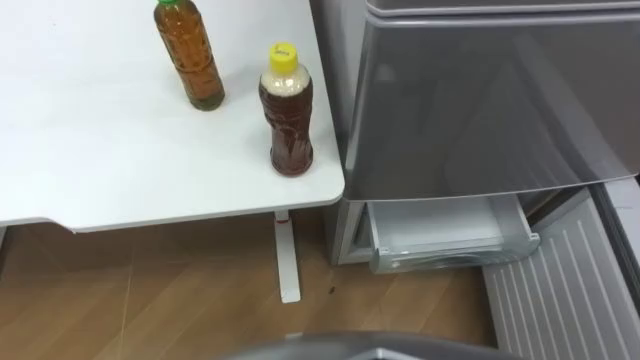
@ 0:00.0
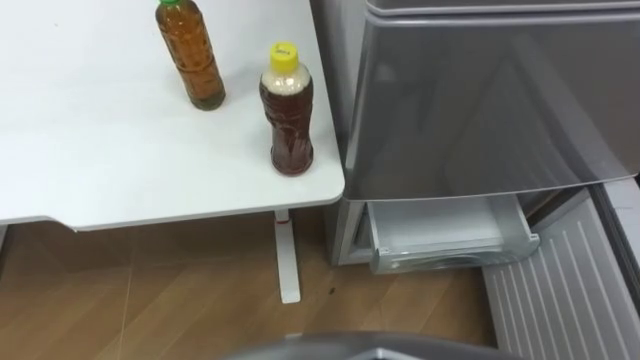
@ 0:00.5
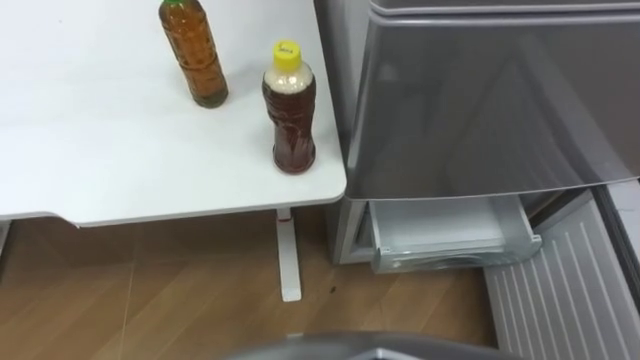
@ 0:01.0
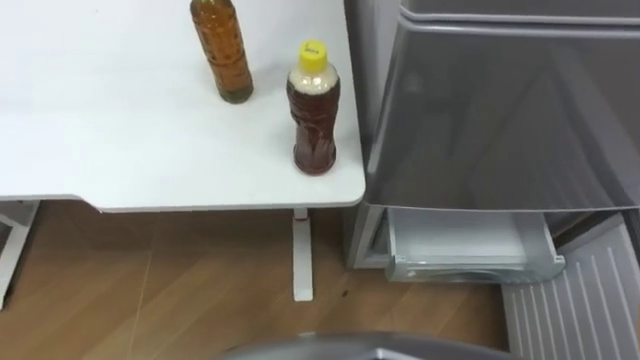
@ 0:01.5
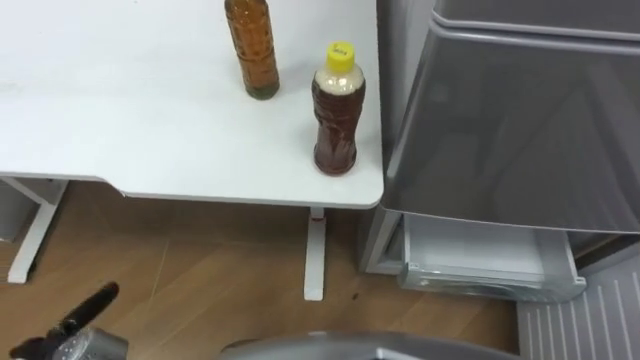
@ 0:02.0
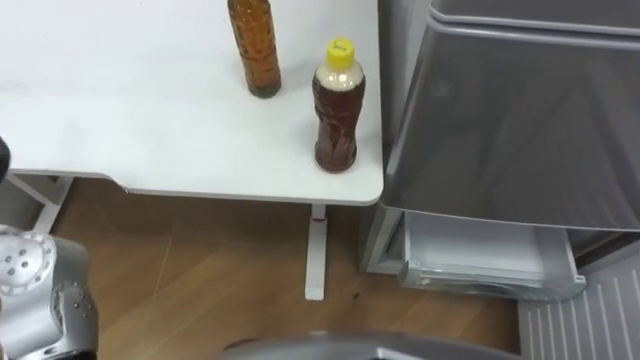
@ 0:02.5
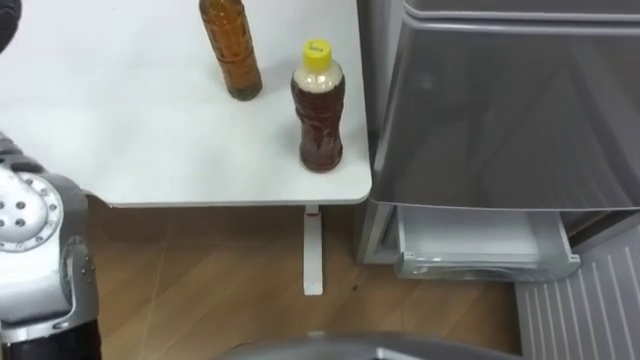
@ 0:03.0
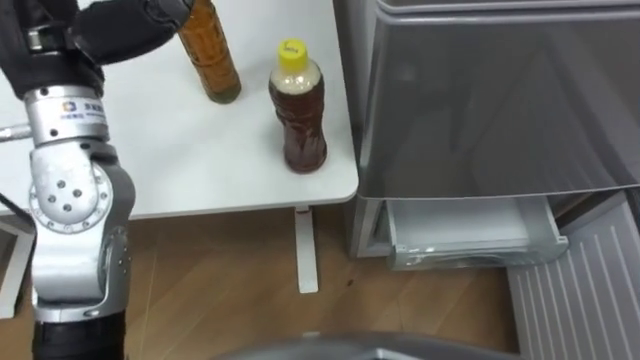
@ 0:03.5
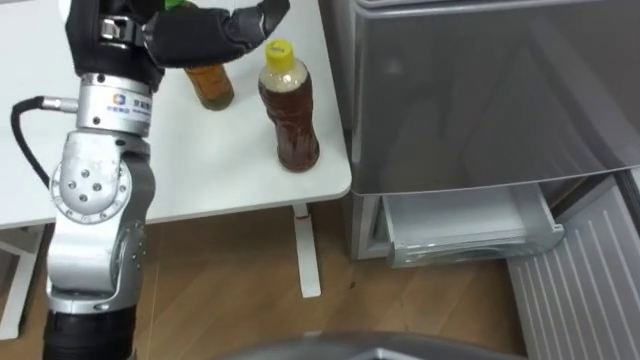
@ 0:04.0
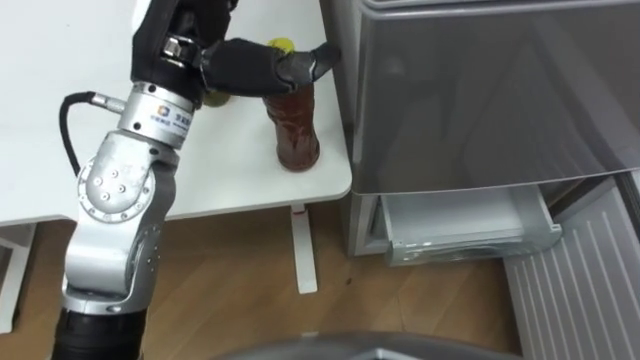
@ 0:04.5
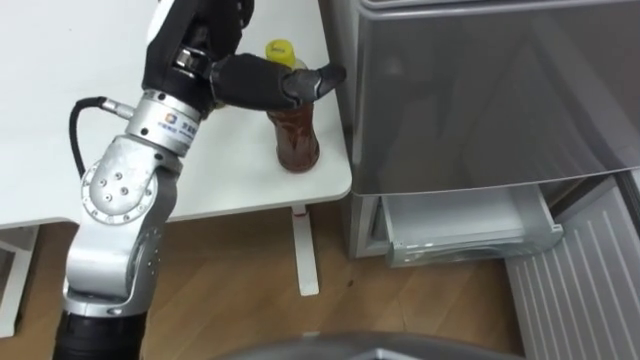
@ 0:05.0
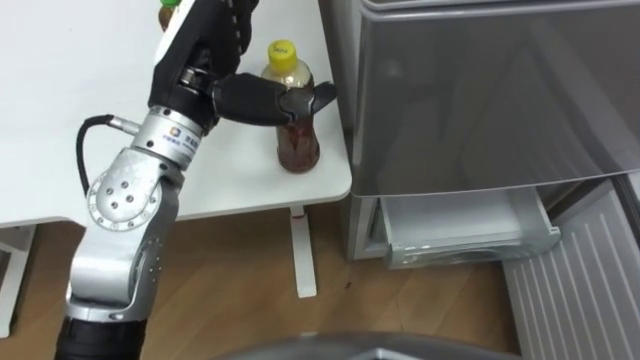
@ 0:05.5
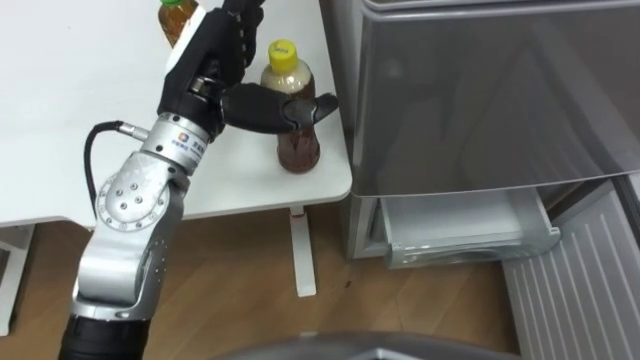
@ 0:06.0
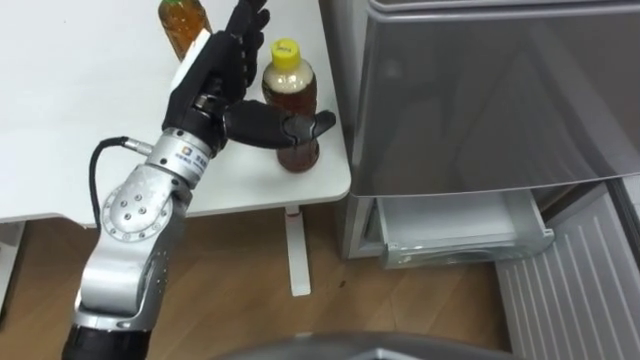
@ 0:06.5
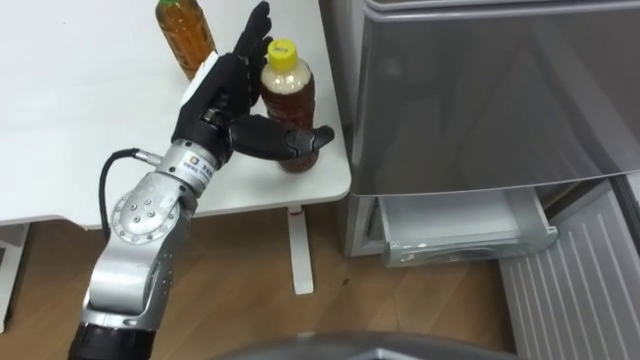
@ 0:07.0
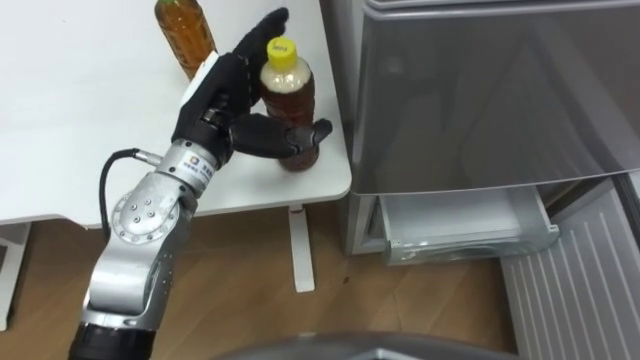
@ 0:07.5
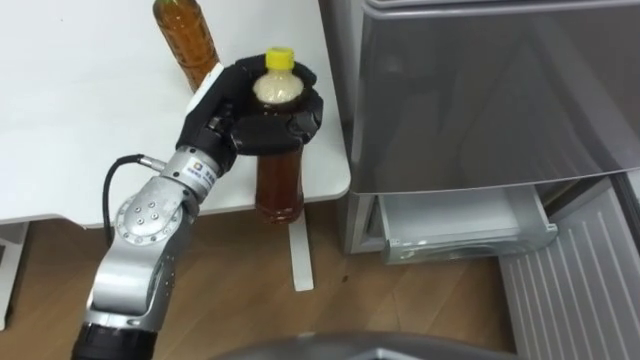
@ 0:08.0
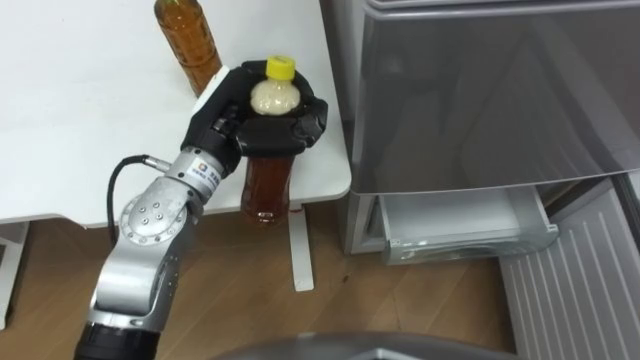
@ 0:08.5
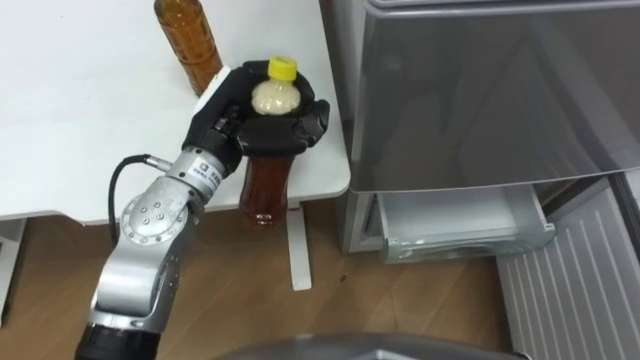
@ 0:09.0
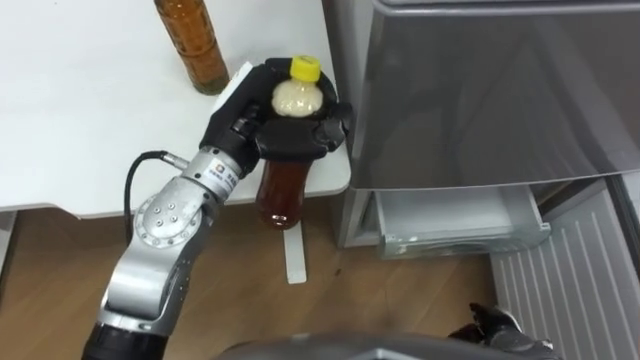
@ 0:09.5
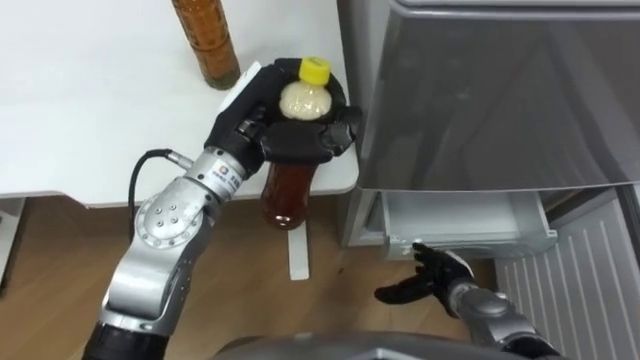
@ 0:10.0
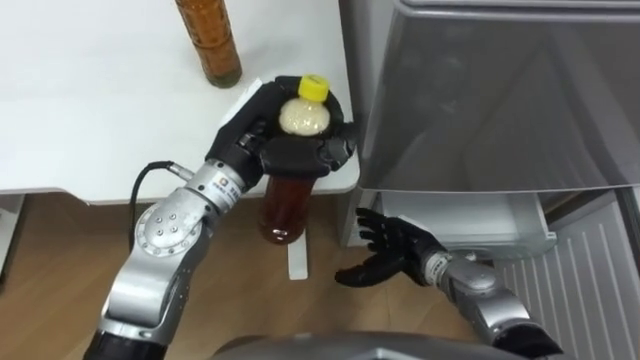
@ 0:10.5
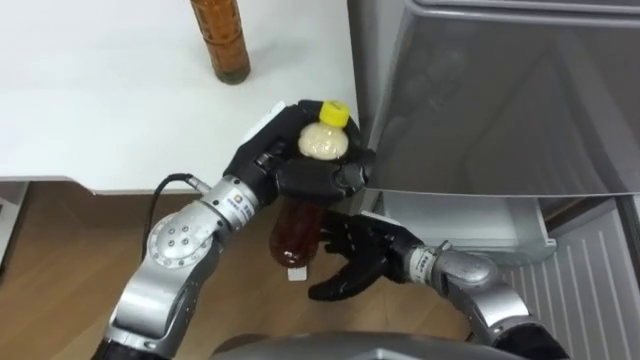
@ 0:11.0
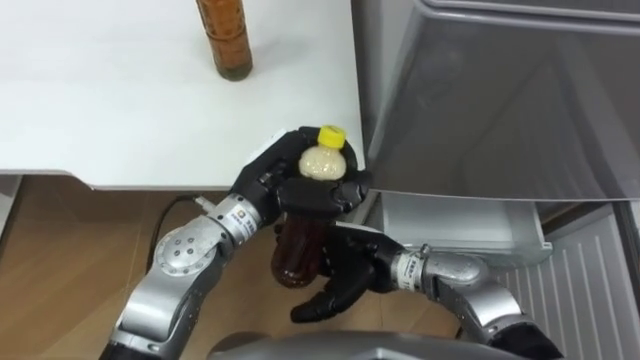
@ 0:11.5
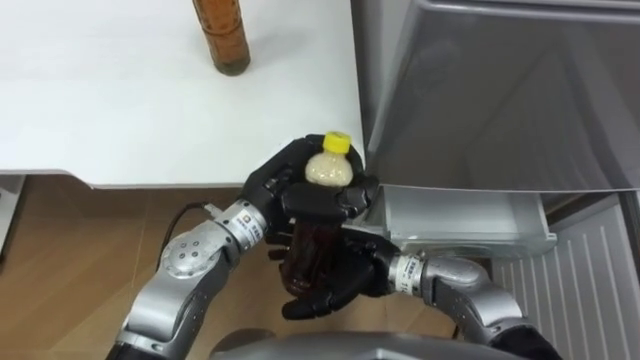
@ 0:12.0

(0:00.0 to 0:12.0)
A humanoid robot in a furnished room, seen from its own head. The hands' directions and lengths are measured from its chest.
Task of the whole recording: Place the drink on the table on the bottom shelf of the refrigerator, then close the drawer and the refrigerator door.
0:04.0 - 0:06.0: The left hand is displaced downward by approximately 5 cm.
0:06.0 - 0:08.0: The left hand is displaced downward by some 5 cm, and closes.
0:10.0 - 0:12.0: The left hand goes about 5 cm downward. The right hand is displaced to the left and upward by roughly 20 cm.

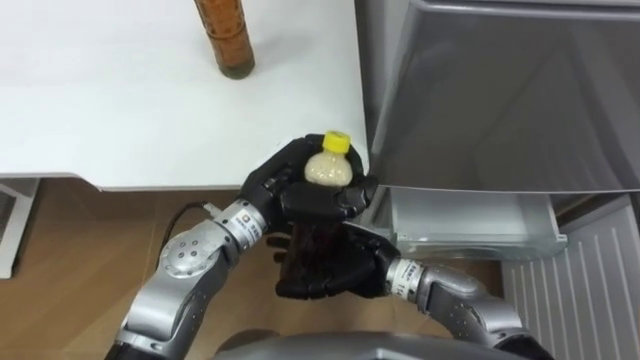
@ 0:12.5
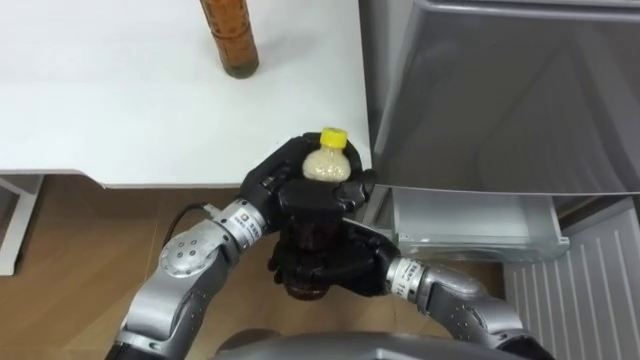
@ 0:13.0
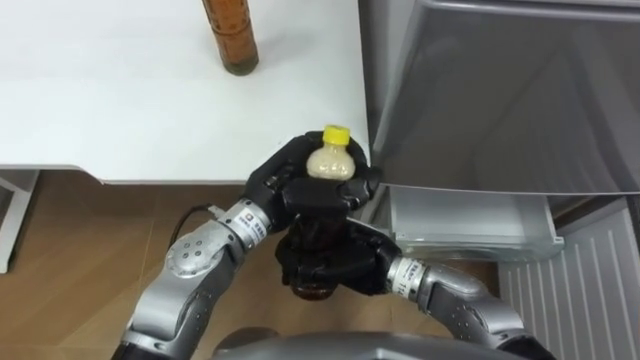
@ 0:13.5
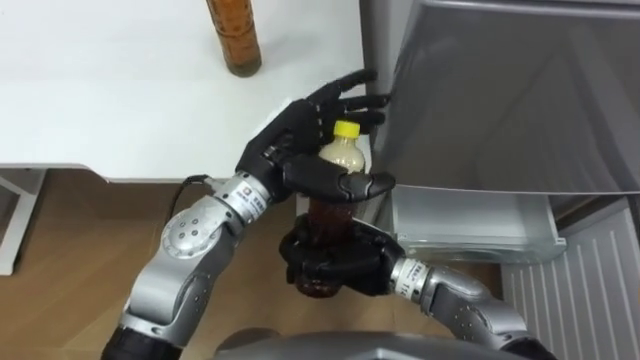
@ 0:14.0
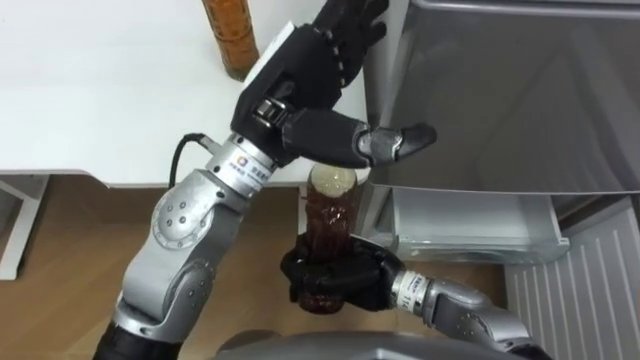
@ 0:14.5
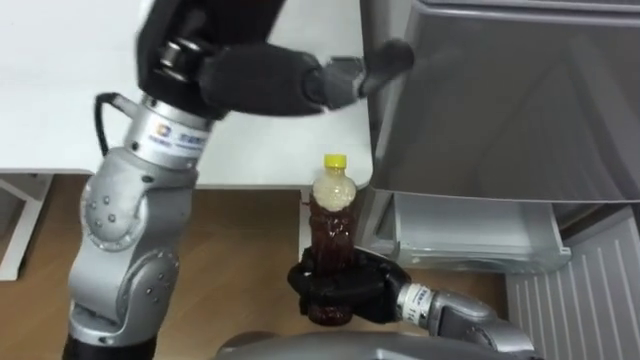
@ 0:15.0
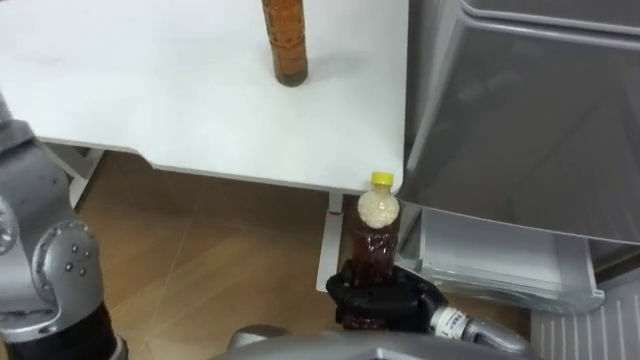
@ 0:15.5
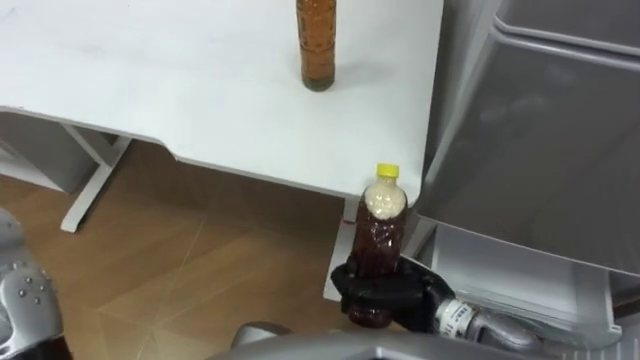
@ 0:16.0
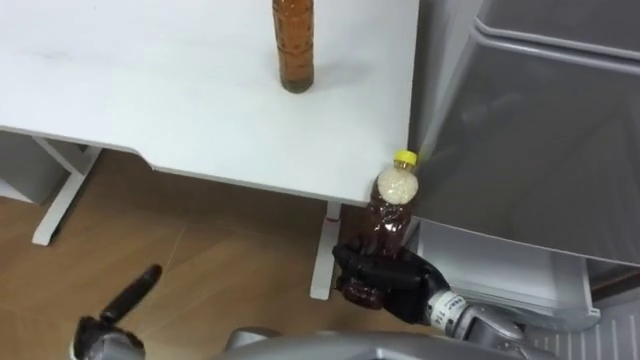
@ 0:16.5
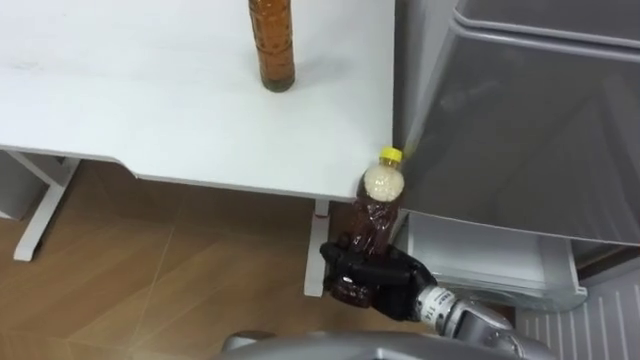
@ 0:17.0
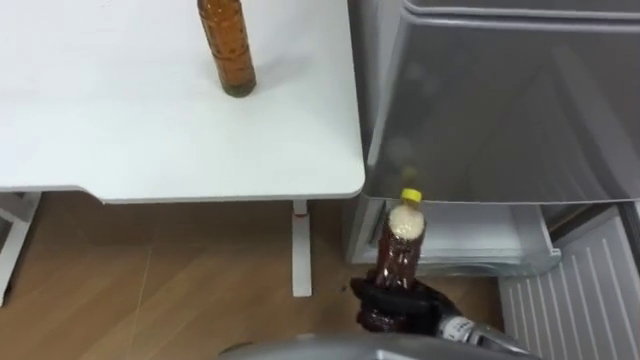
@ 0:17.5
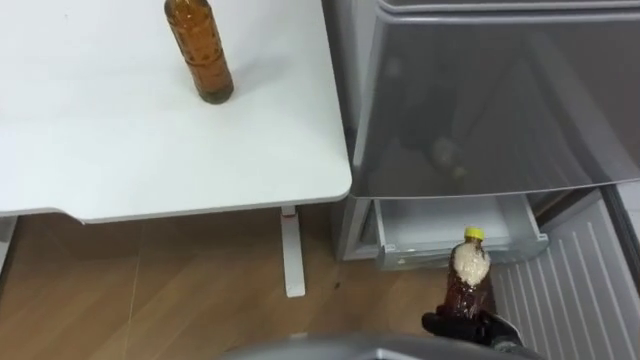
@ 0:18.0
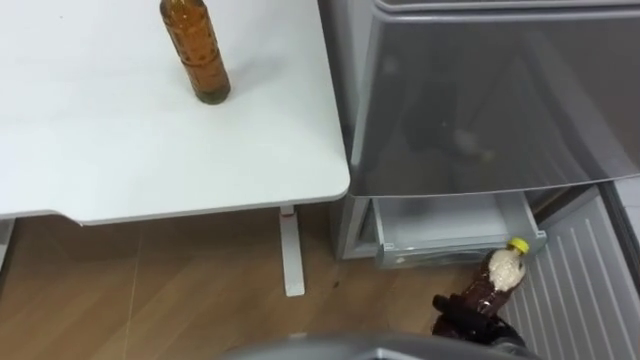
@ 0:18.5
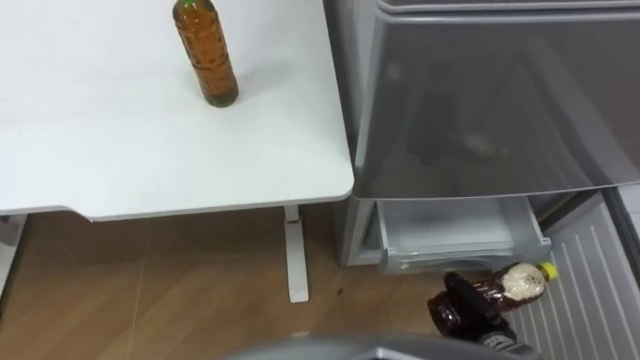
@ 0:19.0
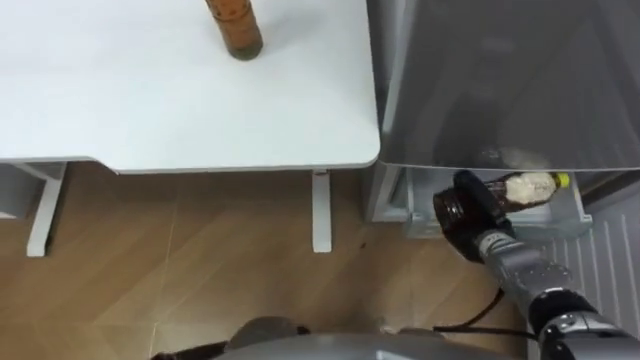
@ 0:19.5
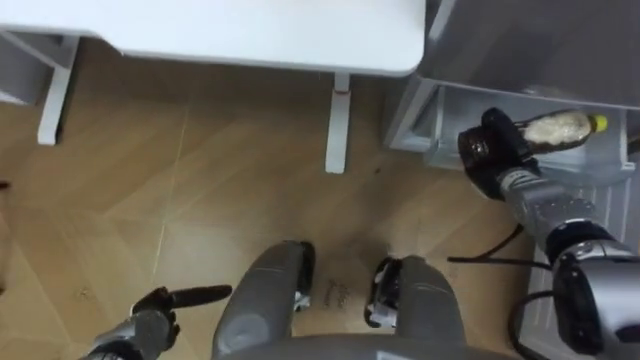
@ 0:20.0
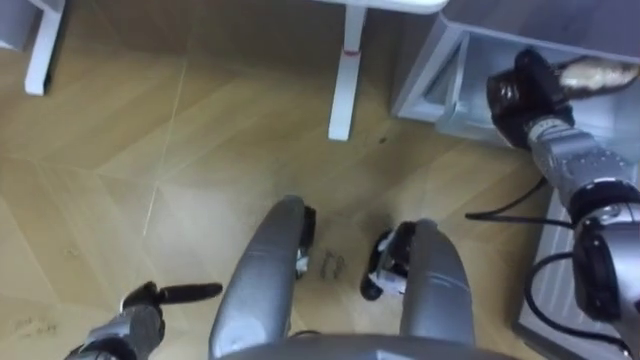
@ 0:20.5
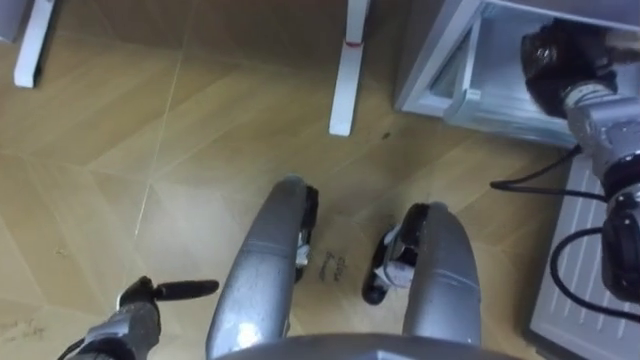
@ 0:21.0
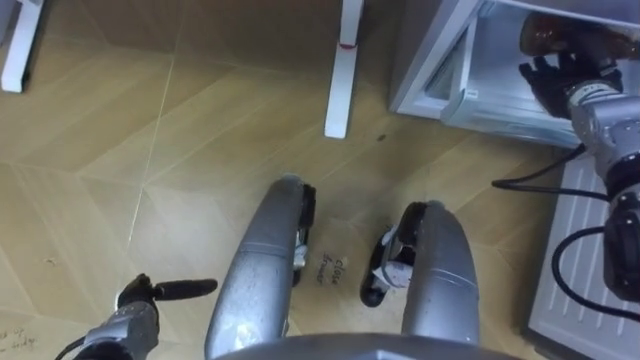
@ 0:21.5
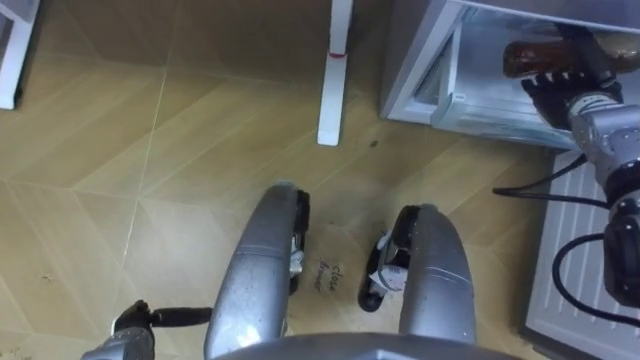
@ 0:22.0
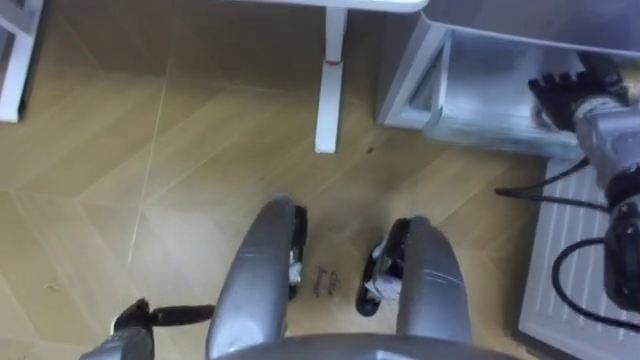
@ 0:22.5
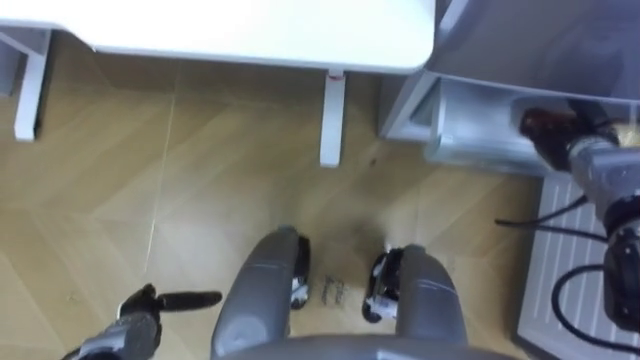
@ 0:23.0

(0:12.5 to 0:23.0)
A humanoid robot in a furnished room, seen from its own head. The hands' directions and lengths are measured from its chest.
Task of the whole recording: Place the drink on the table on the bottom shelf of the refrigerator, then close the drawer and the refrigerator door.
0:12.5 - 0:14.5: The right hand closes. Meanwhile the left hand travels upward by roughly 15 cm, and opens.
0:14.5 - 0:16.5: The right hand travels to the right by roughly 5 cm.
0:16.5 - 0:19.0: The right hand moves to the right, downward and backward, approximately 15 cm.
0:19.0 - 0:21.0: The right hand shifts approximately 35 cm forward and upward.
0:21.0 - 0:23.0: The right hand goes approximately 10 cm backward and downward, and opens up.
